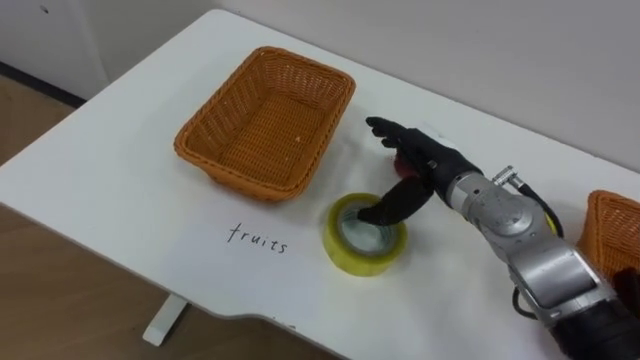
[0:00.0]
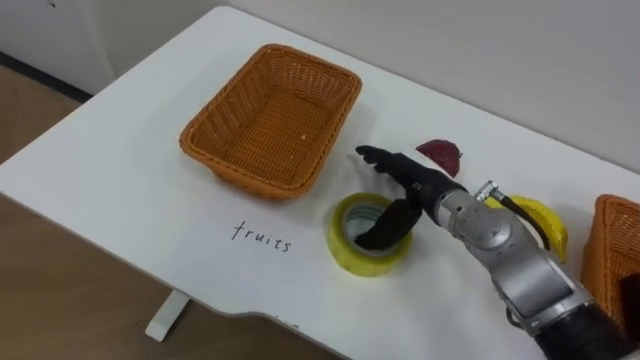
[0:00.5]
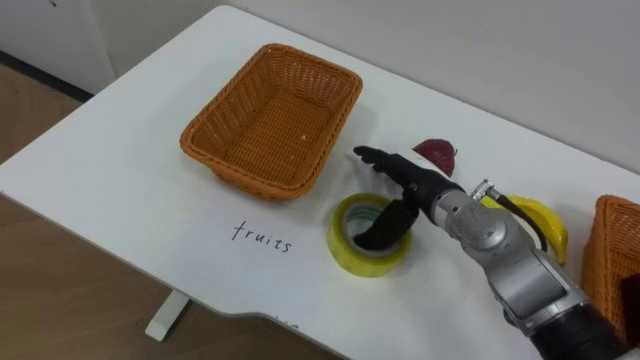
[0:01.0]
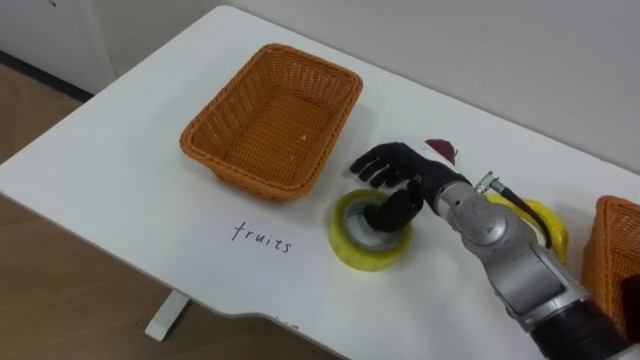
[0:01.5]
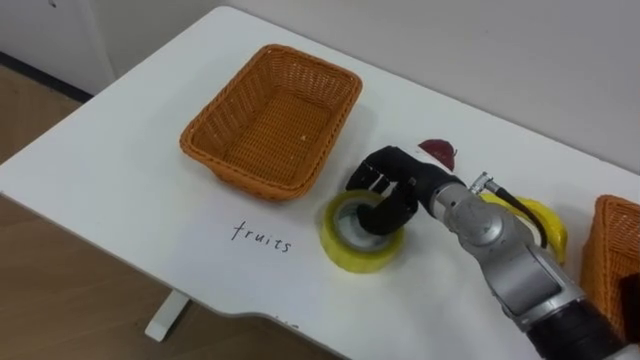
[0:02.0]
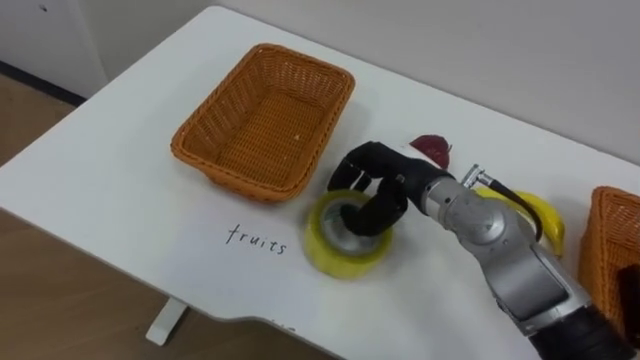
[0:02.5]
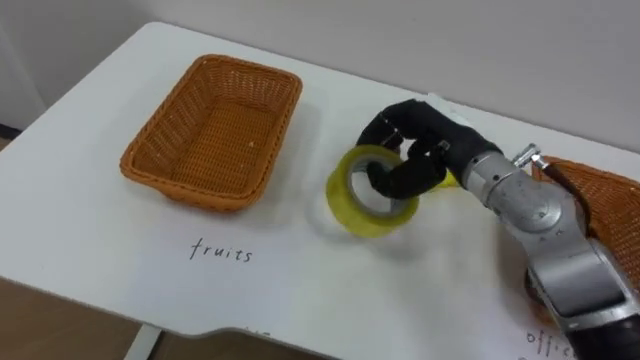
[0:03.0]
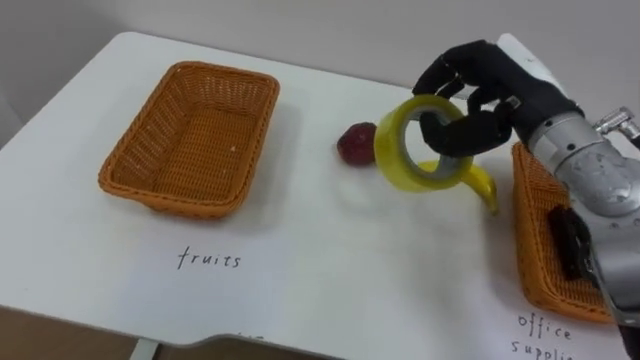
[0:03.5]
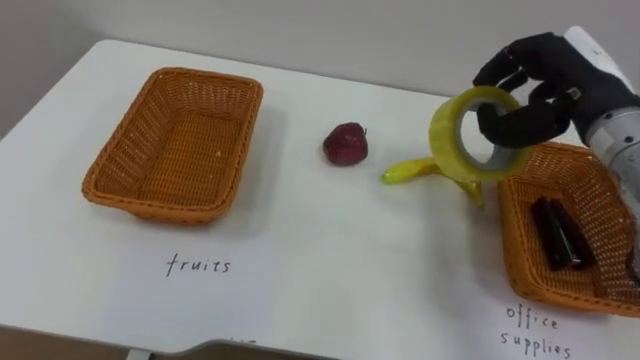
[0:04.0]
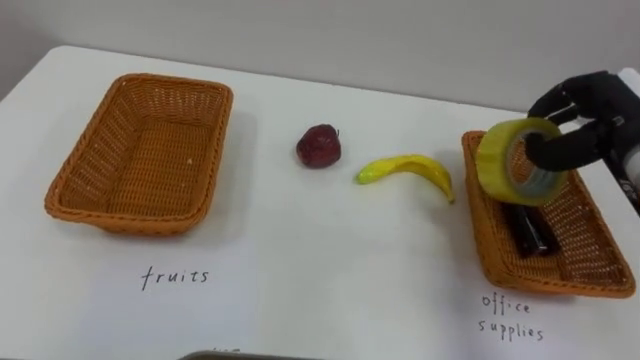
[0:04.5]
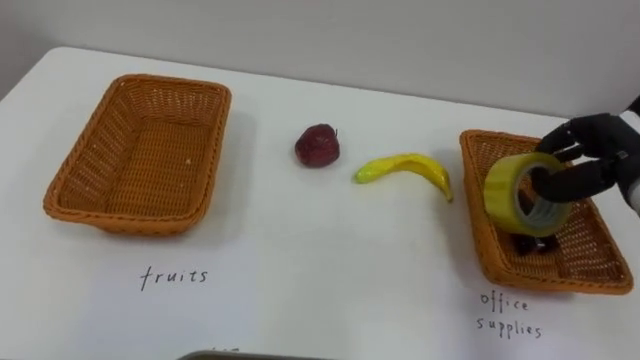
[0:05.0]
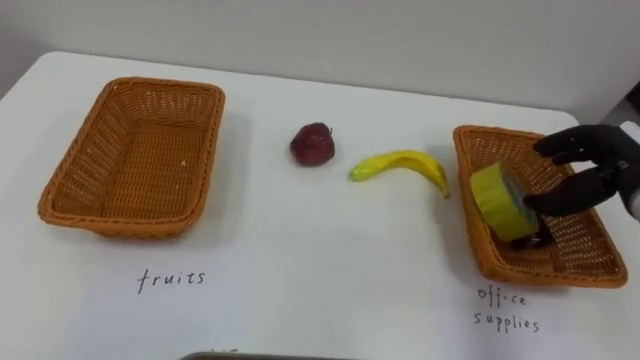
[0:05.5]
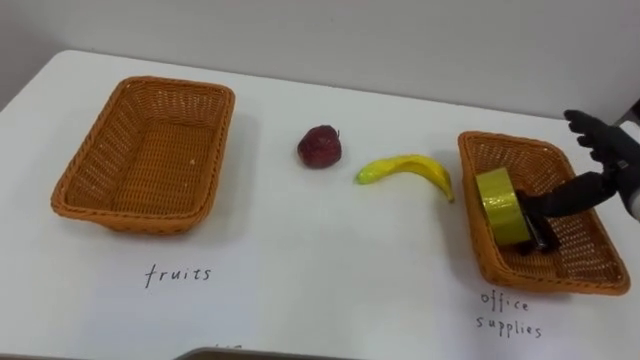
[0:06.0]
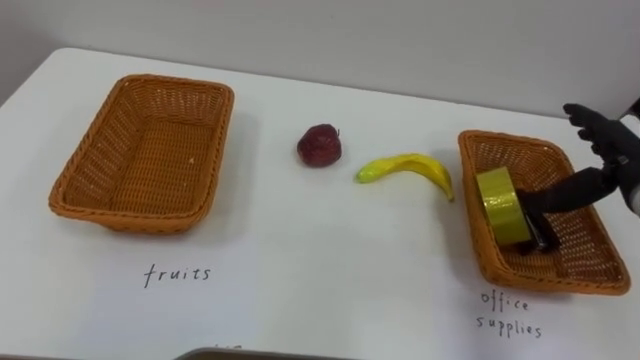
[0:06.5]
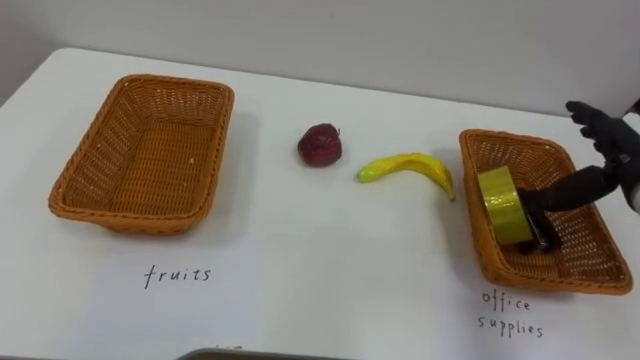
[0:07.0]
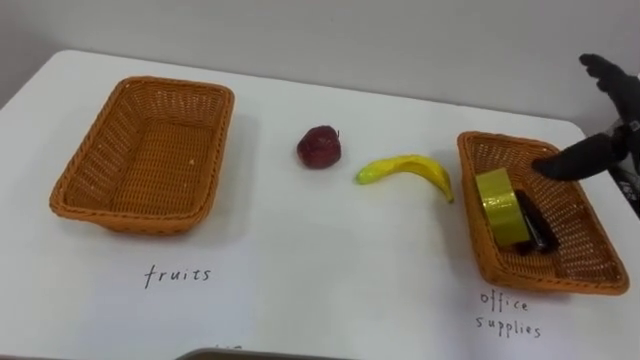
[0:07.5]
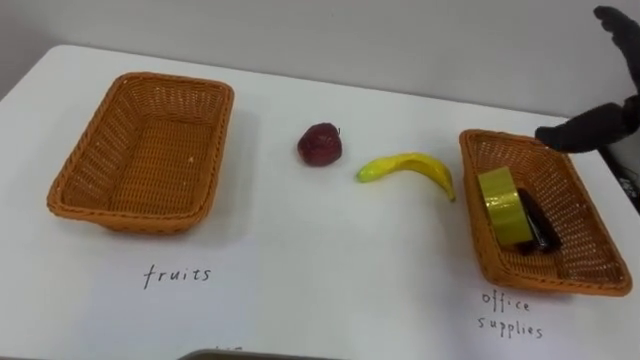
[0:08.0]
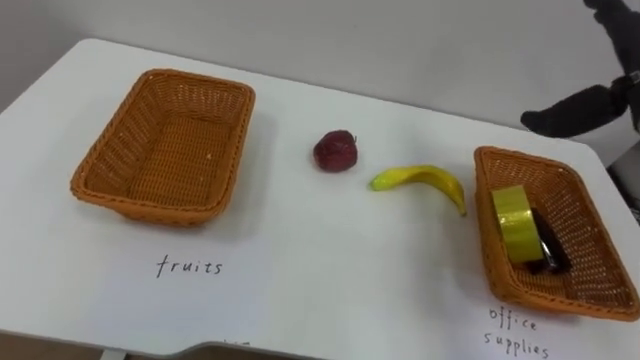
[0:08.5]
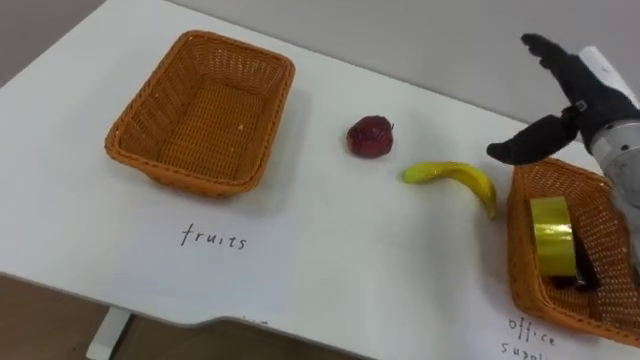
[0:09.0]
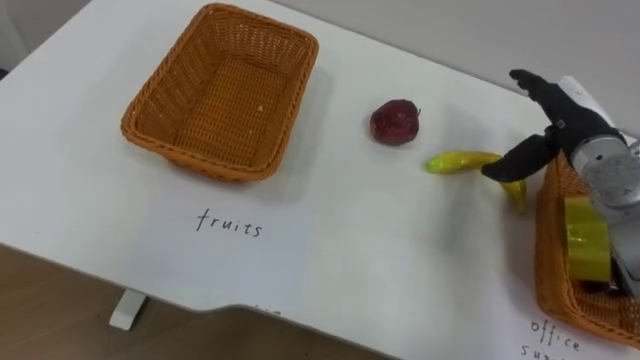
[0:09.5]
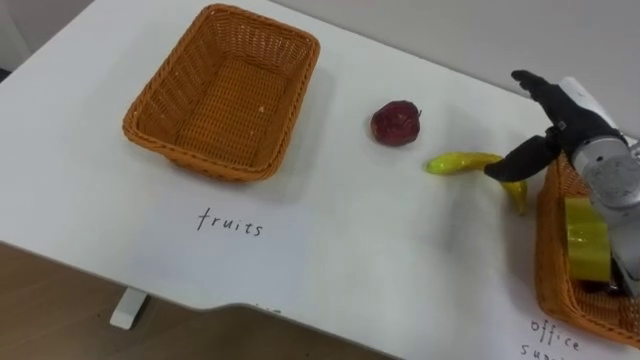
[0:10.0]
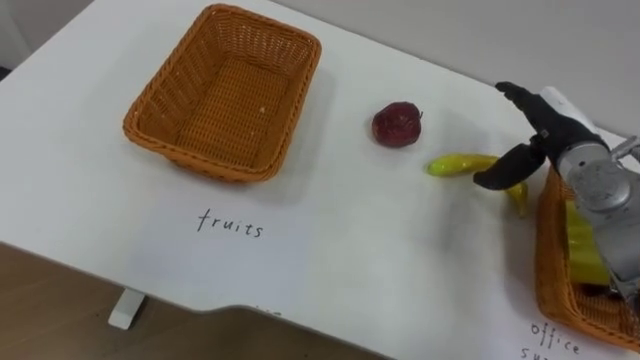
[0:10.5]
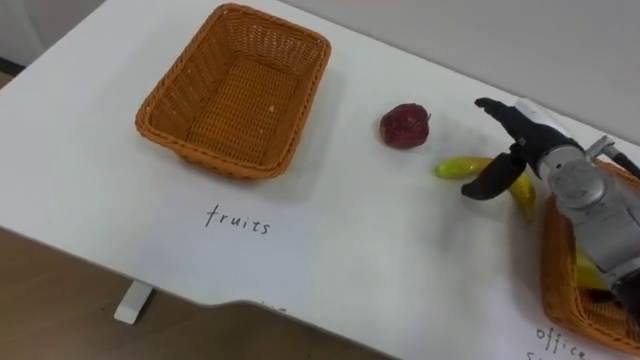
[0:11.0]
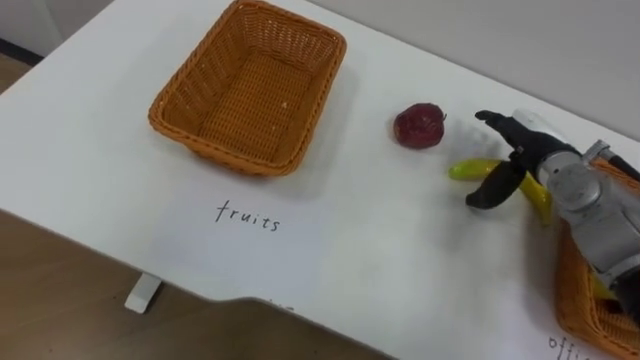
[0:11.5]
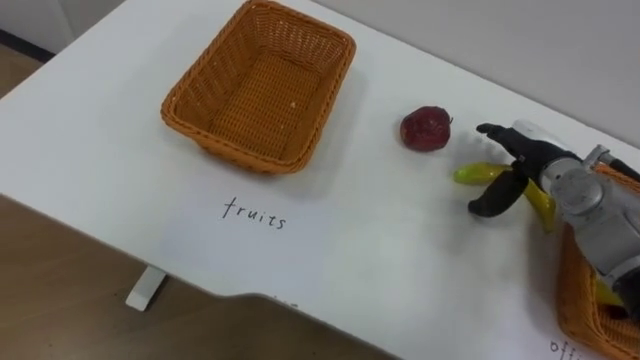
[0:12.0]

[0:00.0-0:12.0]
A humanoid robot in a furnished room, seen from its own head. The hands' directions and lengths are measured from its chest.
Task of the whole recording: Separate the items on the table and place them into the two baskets.
0:00.0 to 0:02.0: The right hand closes its fingers.
0:02.0 to 0:04.0: The right hand goes about 20 cm to the right and upward.
0:04.0 to 0:06.0: The right hand heads downward and to the right, covering about 15 cm, and opens up.
0:10.0 to 0:12.0: The right hand heads downward, covering approximately 5 cm.

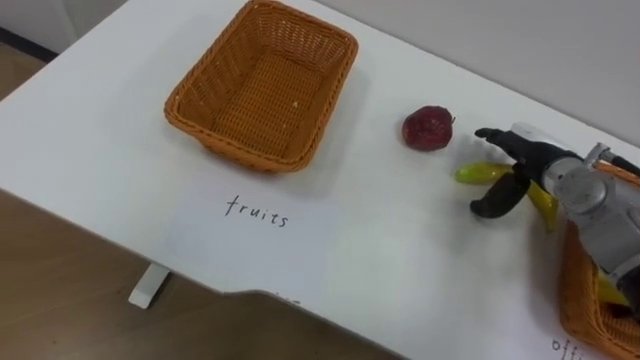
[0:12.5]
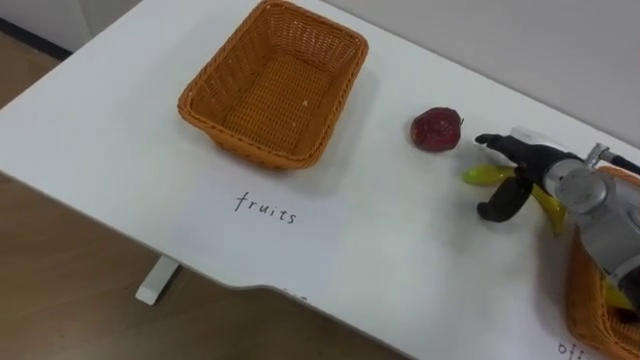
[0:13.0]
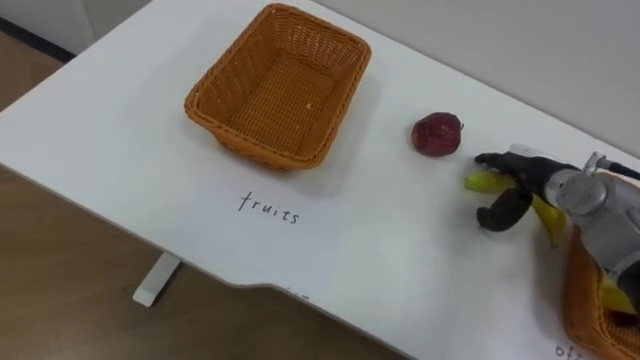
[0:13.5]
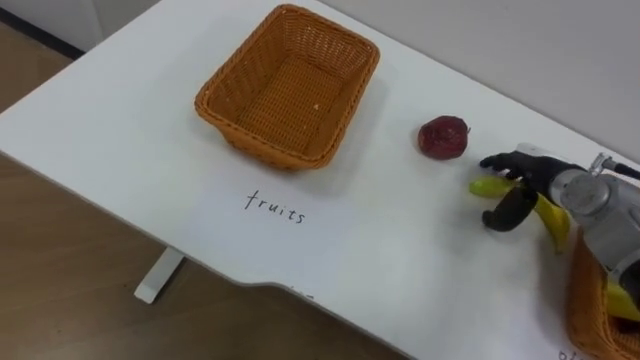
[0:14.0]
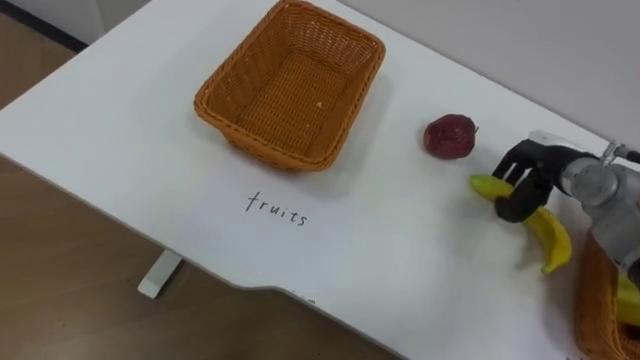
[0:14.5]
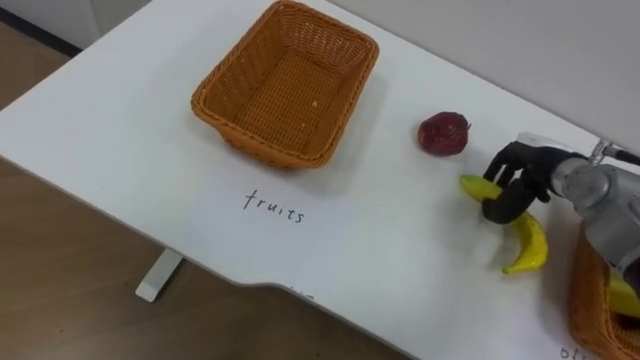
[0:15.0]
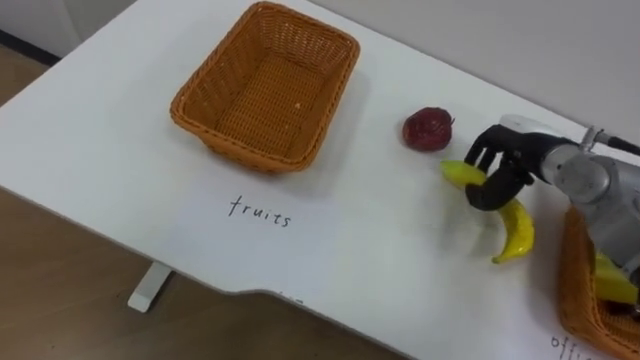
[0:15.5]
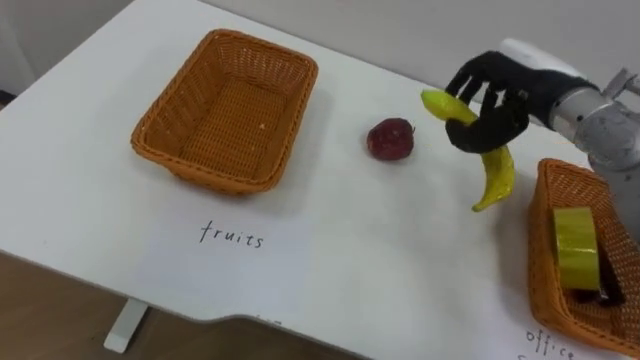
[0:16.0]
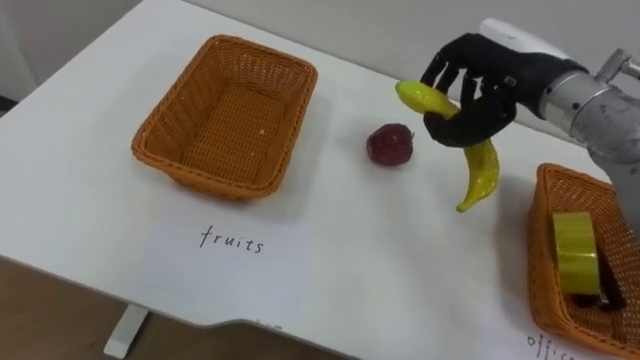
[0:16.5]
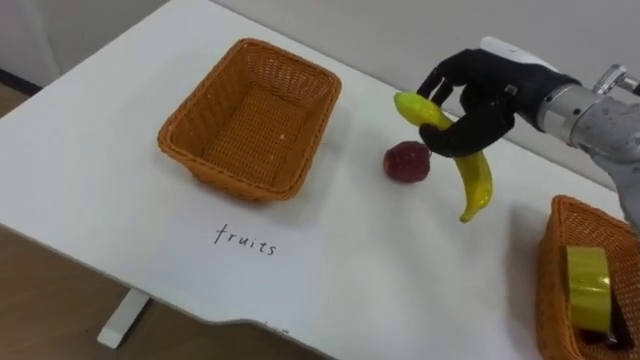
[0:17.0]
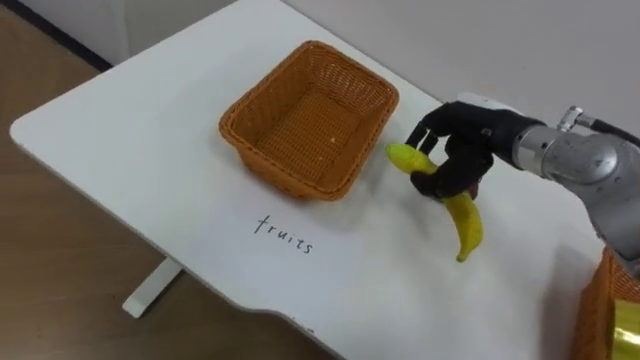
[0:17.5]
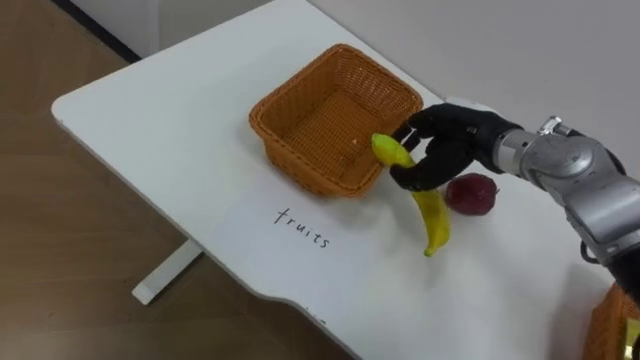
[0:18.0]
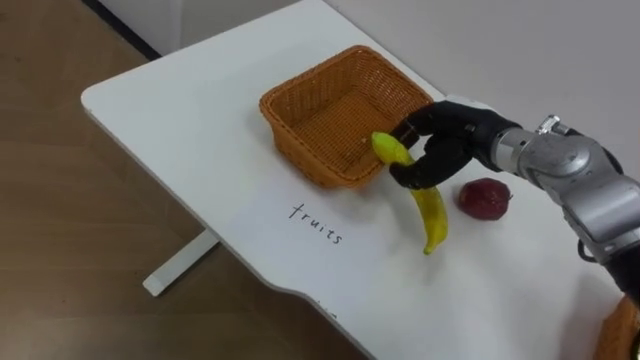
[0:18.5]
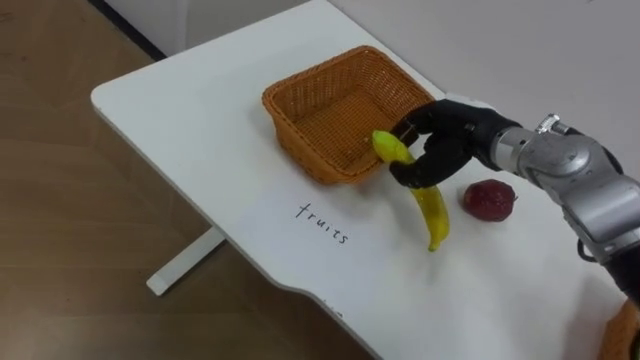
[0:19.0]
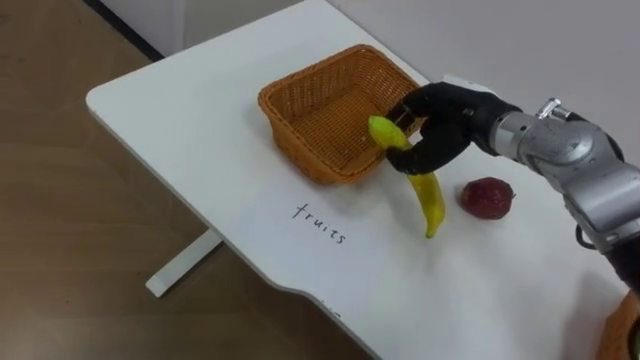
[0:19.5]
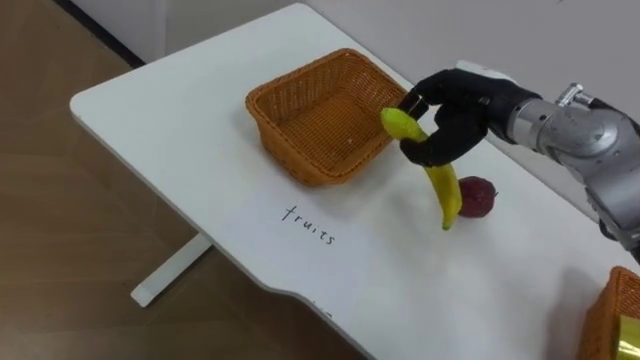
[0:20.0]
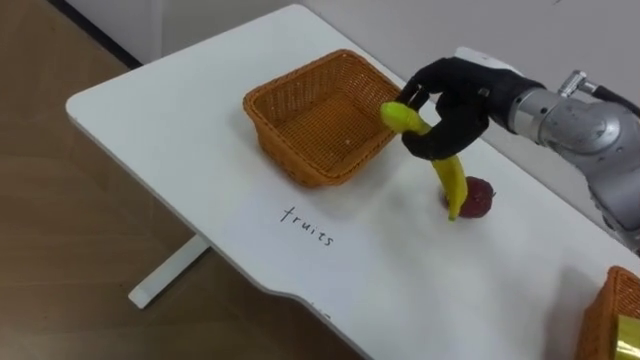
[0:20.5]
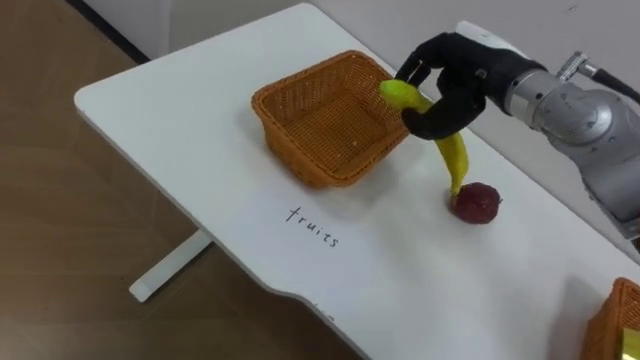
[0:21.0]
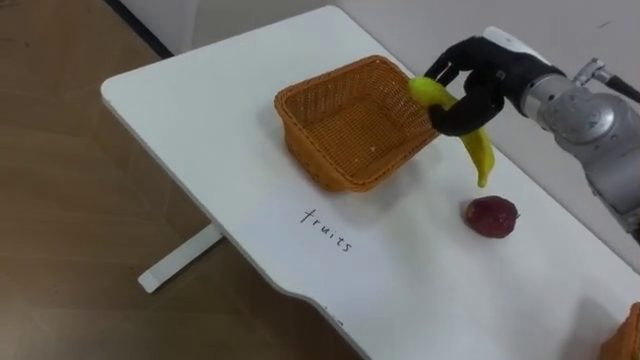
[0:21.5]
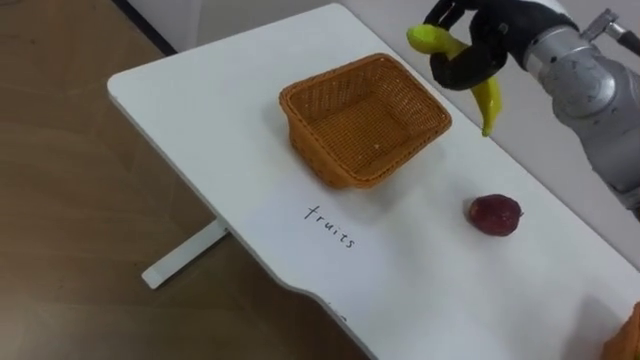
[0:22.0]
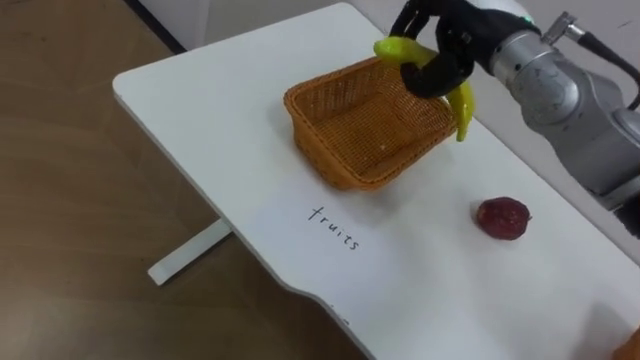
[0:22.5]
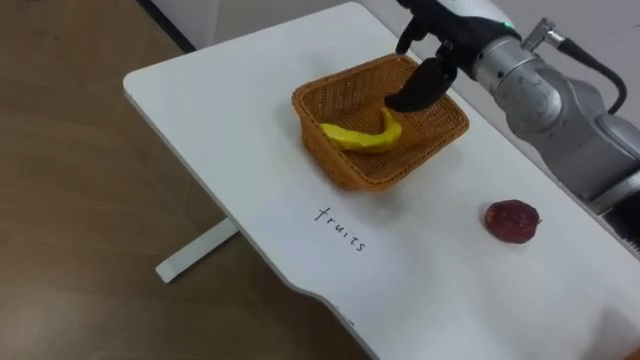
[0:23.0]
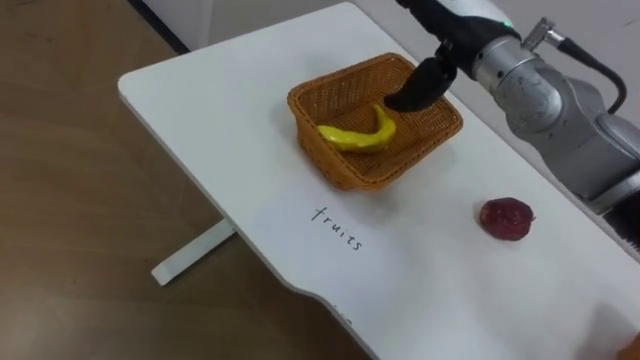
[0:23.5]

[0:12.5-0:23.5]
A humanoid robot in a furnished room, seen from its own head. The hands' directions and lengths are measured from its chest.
Task of the whole recording: Separate the items on the table and place them into the two baskets.
0:12.5 to 0:14.5: The right hand closes.
0:14.5 to 0:16.0: The right hand shifts about 15 cm upward and to the left.
0:16.0 to 0:18.0: The right hand shifts some 10 cm downward and to the left.
0:21.5 to 0:23.5: The right hand shifts approximately 10 cm to the left and upward, and opens.
